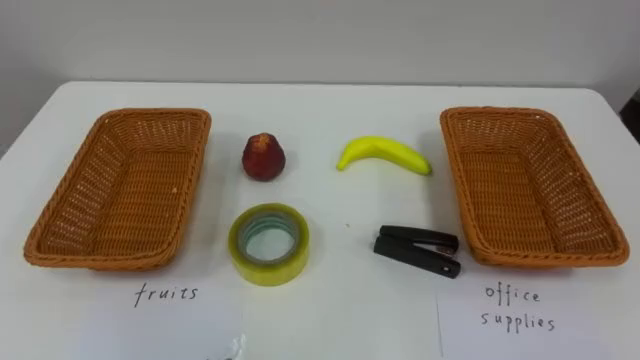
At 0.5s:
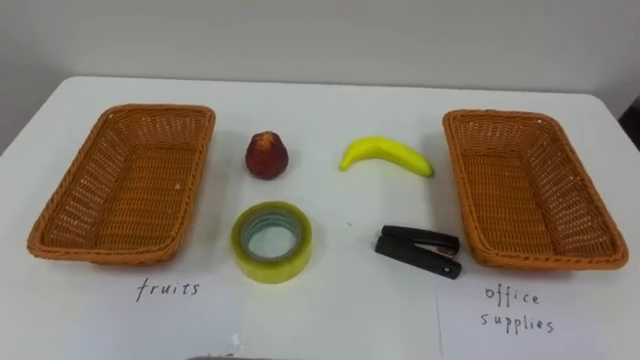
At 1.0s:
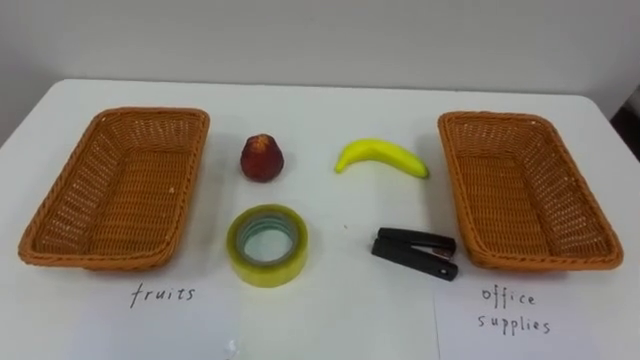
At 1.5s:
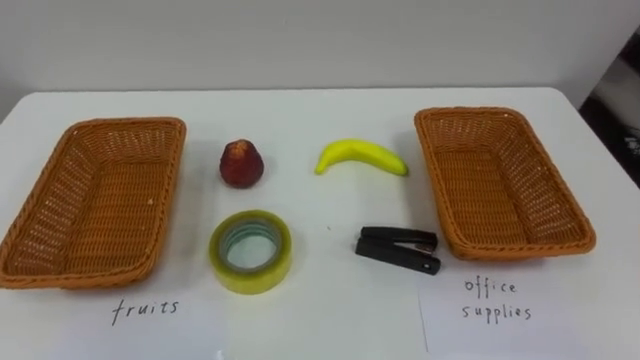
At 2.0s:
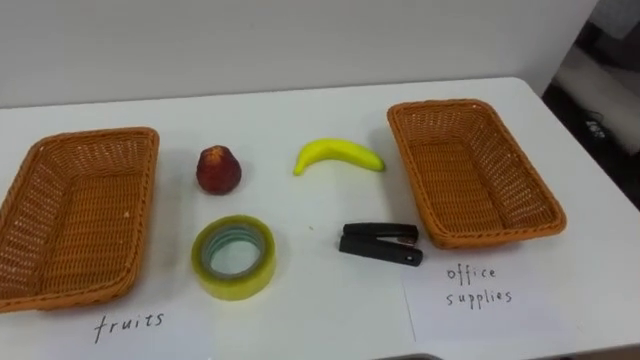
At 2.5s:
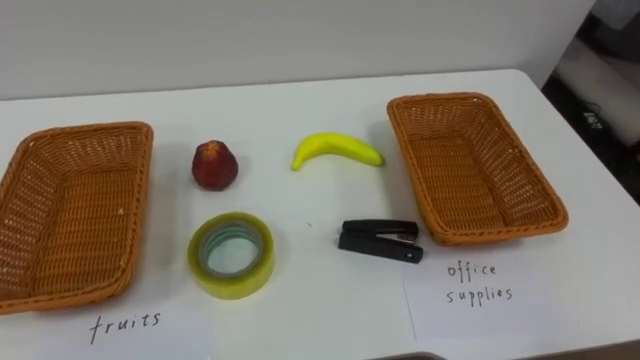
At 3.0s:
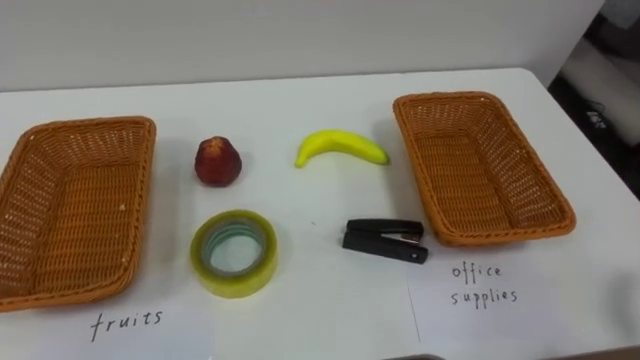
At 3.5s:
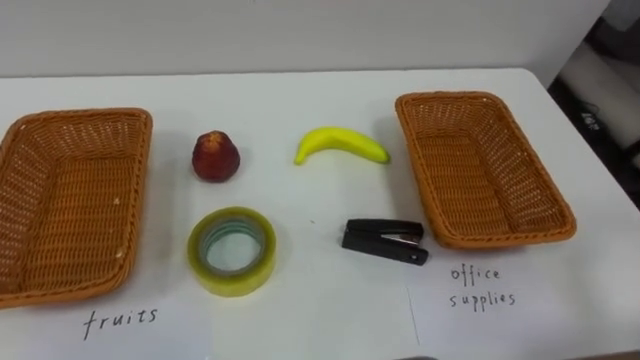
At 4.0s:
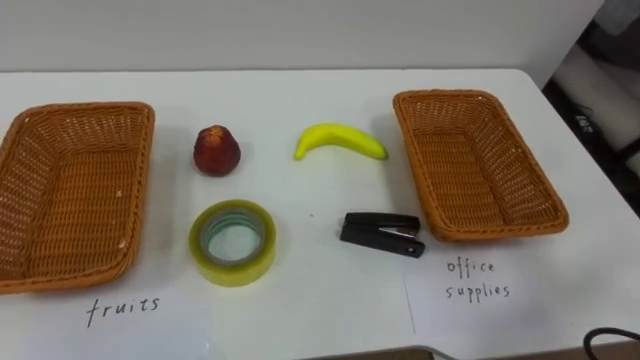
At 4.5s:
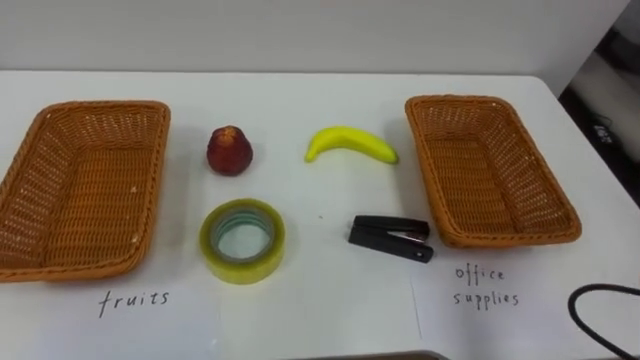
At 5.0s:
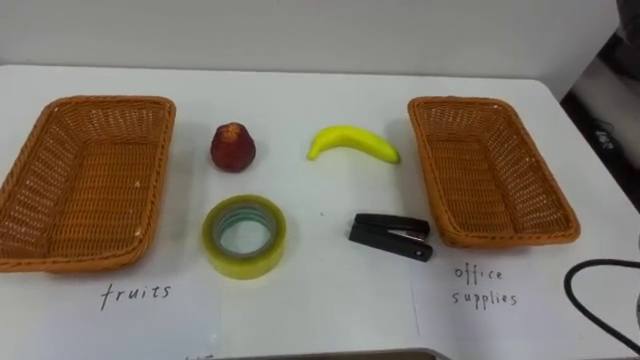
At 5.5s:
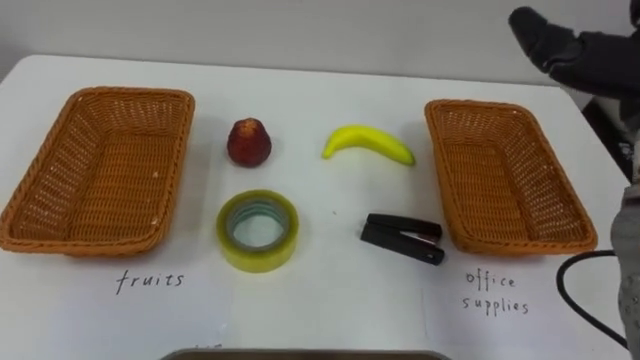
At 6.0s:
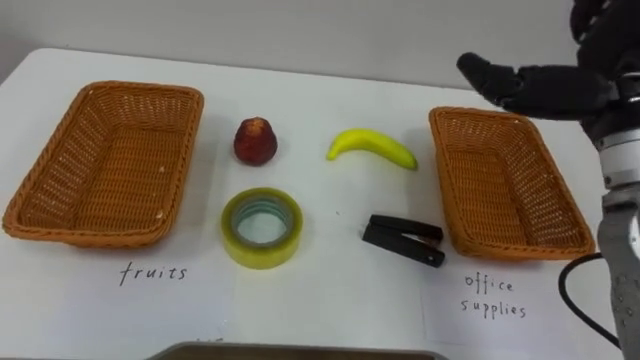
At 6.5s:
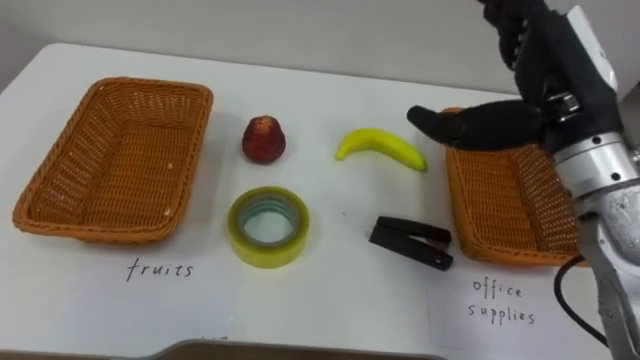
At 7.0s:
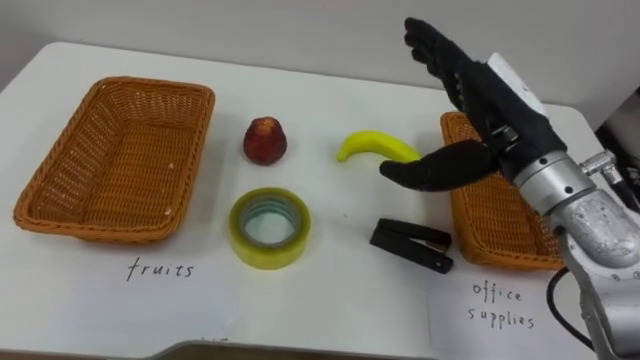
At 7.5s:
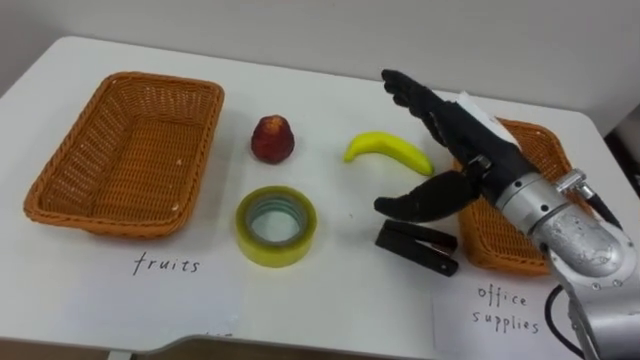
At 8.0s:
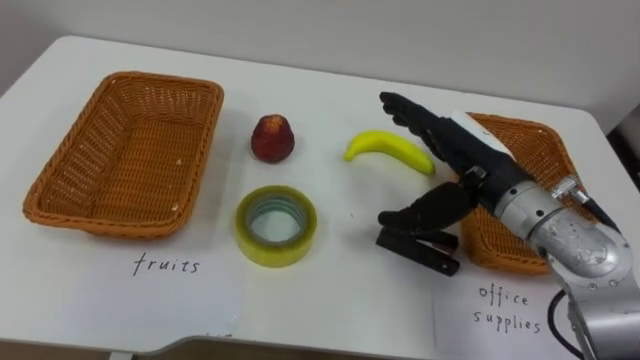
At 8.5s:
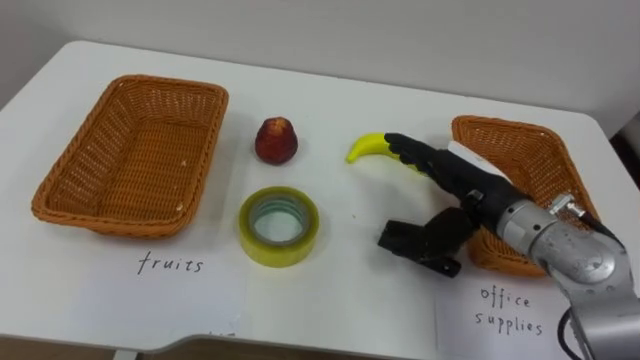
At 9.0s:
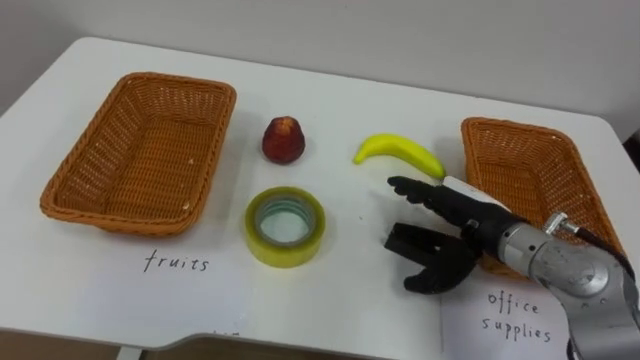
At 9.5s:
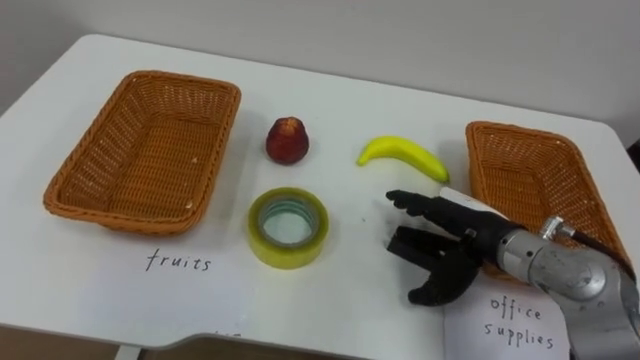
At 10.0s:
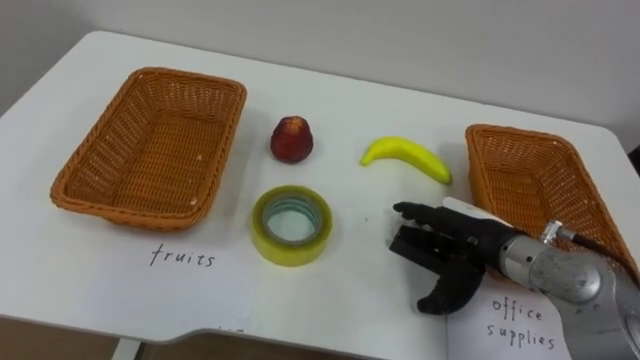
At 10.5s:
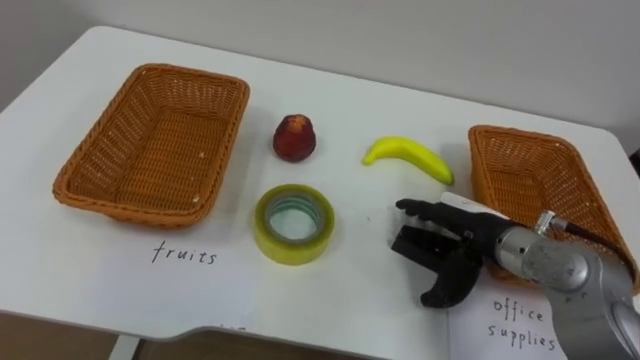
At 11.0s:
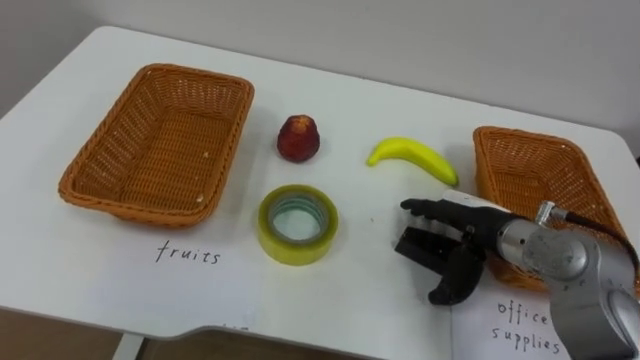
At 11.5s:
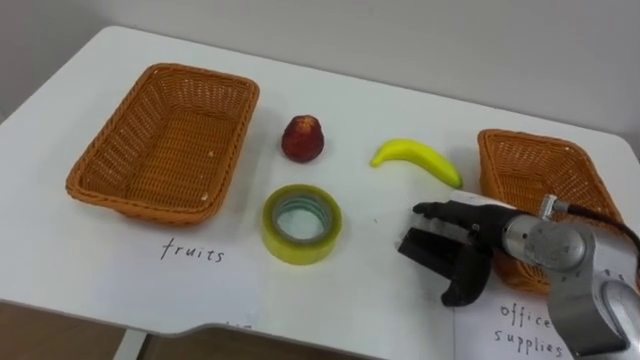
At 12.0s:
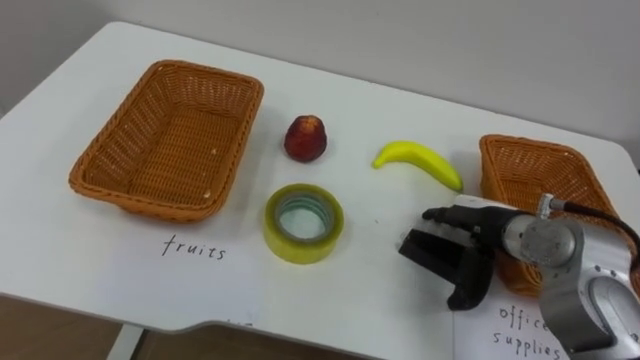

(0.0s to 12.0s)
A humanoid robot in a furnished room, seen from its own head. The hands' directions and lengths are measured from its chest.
Task of the whole recording: Separate the items on the table and place them into the two baskets.
6.0s - 8.0s: The right hand heads downward and to the left, covering roughly 15 cm.
8.0s - 10.0s: The right hand heads downward, covering some 10 cm.

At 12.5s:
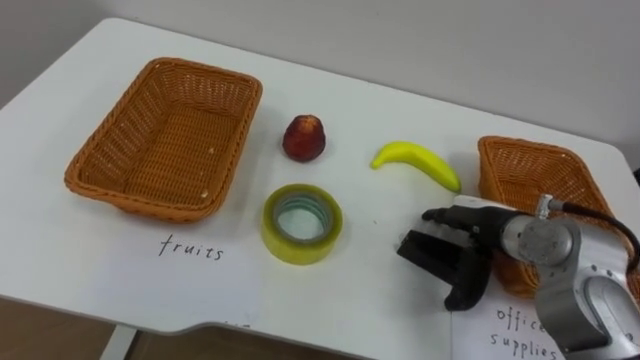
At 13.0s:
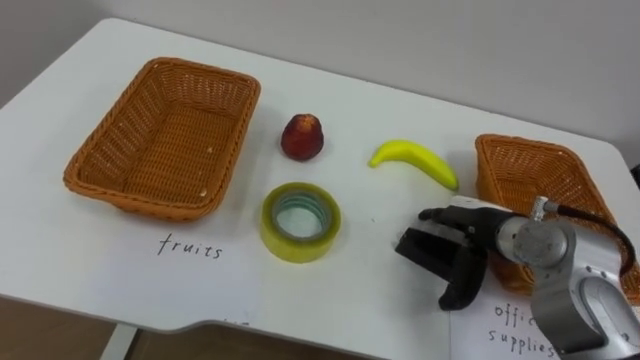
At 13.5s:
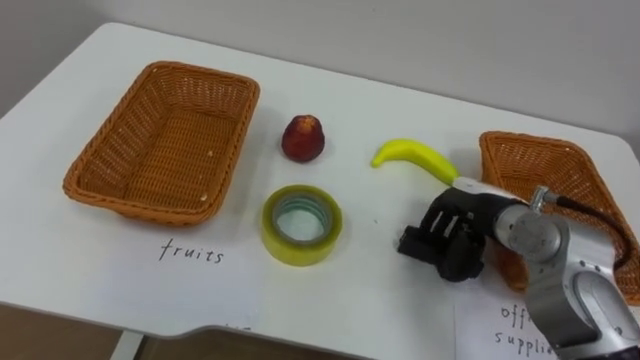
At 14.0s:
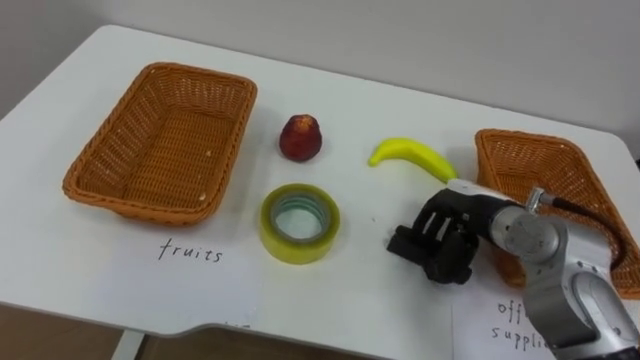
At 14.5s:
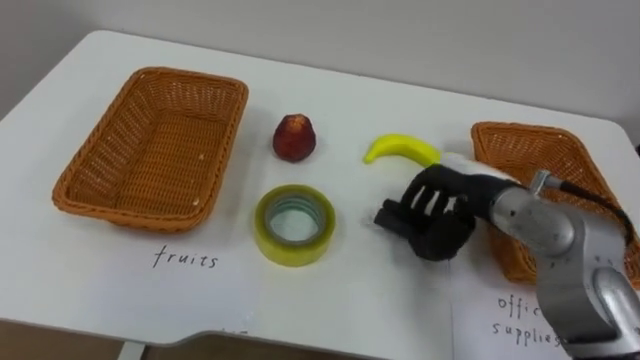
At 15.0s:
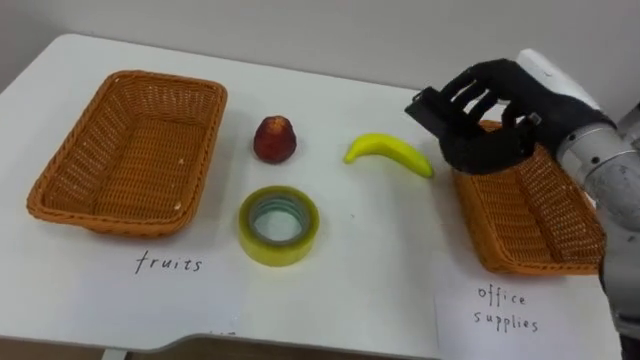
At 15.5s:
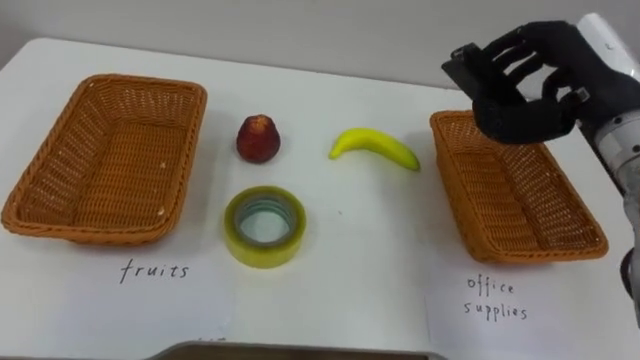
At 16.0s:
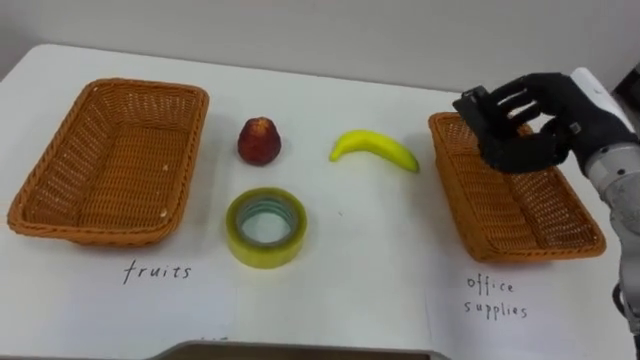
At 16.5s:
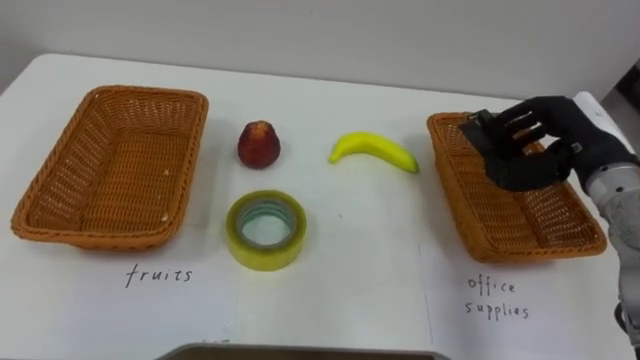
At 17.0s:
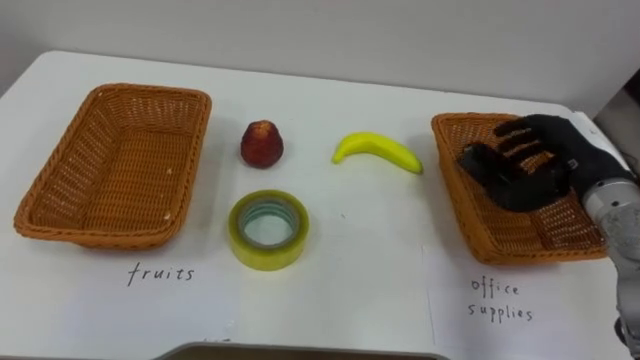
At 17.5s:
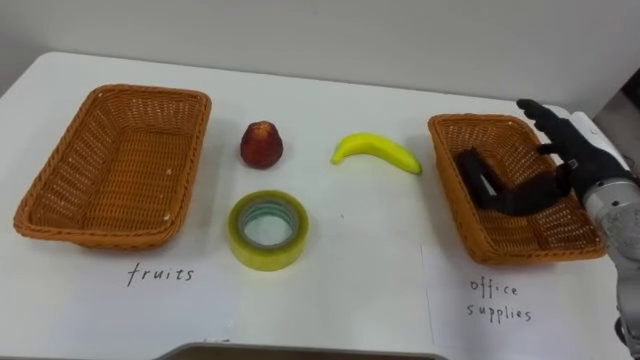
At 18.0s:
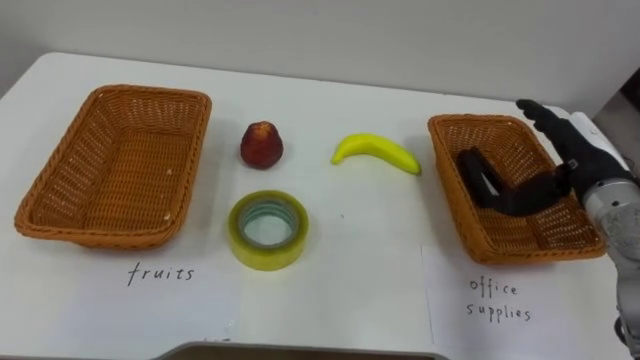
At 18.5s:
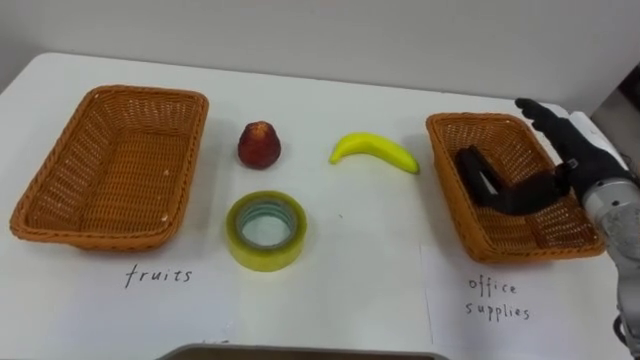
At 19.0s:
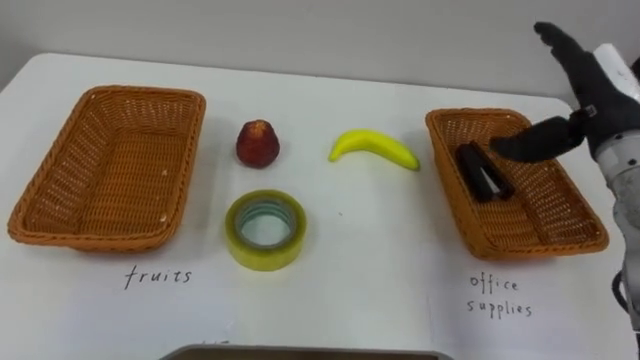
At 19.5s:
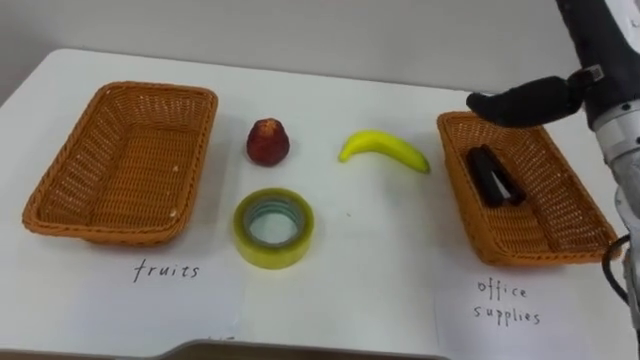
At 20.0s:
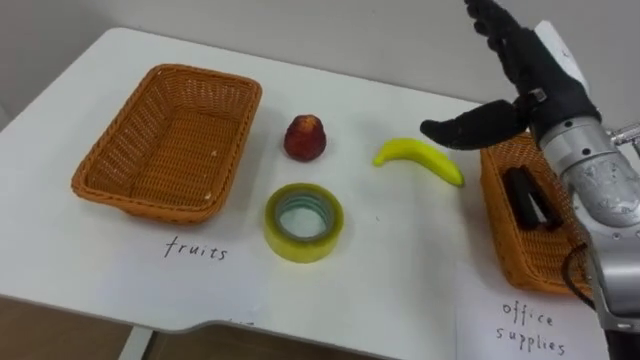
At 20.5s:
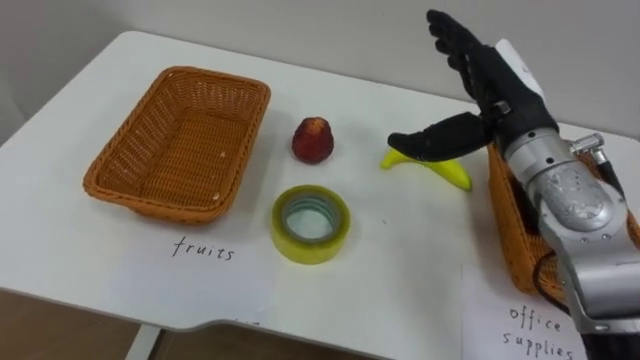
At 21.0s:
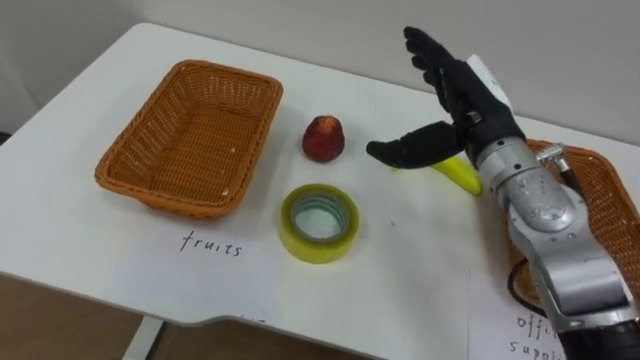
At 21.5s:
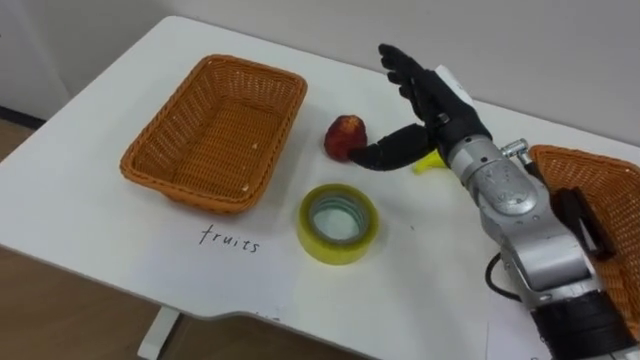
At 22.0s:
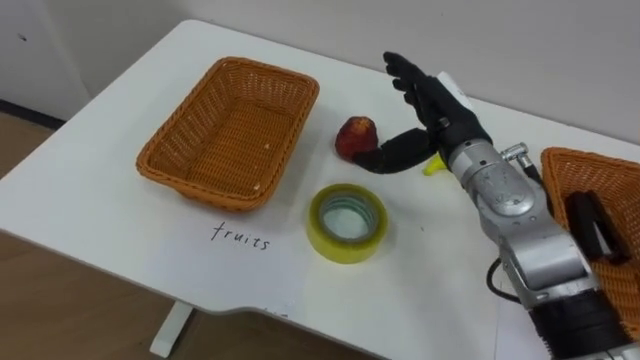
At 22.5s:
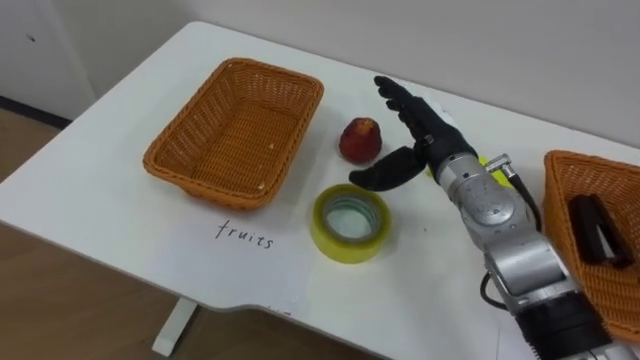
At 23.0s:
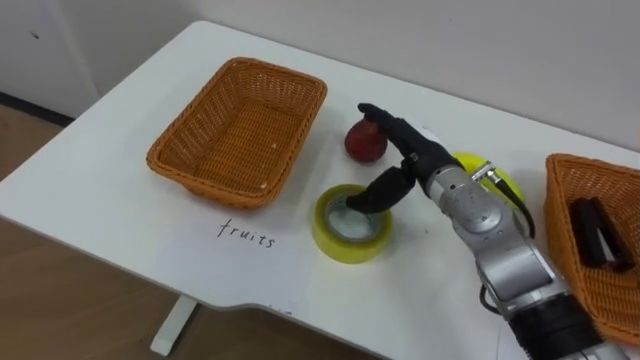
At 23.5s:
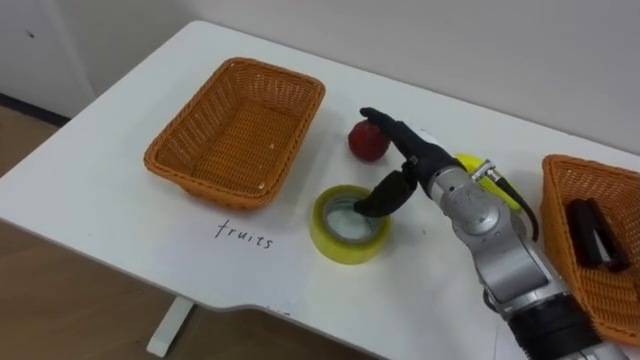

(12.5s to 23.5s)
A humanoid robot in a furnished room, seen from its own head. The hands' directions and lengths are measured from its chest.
Task of the whole recording: Separate the items on the table and place them into the two baskets.
12.5s - 14.5s: The right hand closes its fingers.
14.5s - 16.0s: The right hand travels to the right and upward by approximately 15 cm.
16.0s - 18.0s: The right hand shifts by about 5 cm, and opens up.
18.0s - 20.0s: The right hand shifts roughly 15 cm upward and to the left.
20.0s - 21.5s: The right hand goes about 10 cm to the left and downward.
21.5s - 23.5s: The right hand travels downward by about 5 cm.
